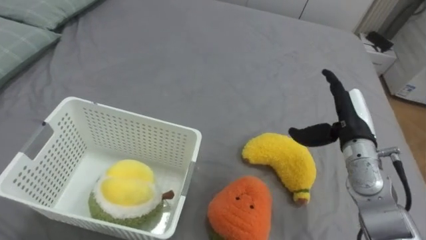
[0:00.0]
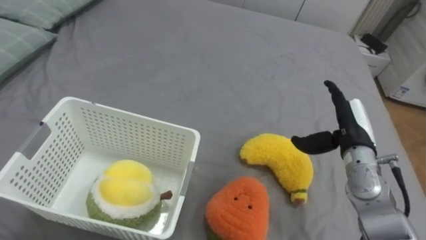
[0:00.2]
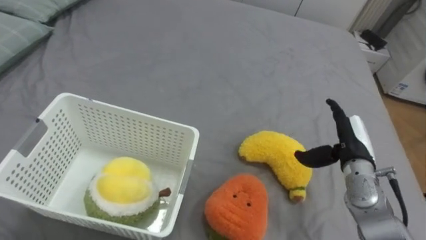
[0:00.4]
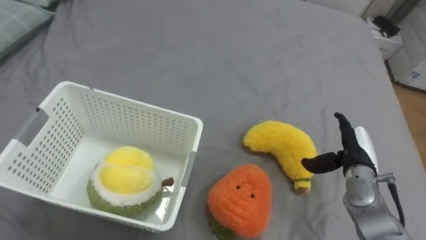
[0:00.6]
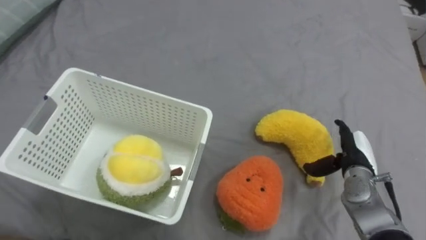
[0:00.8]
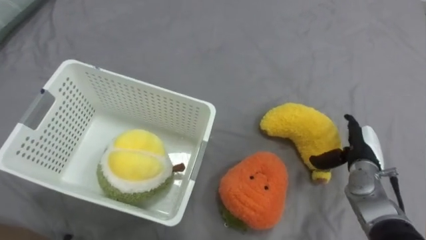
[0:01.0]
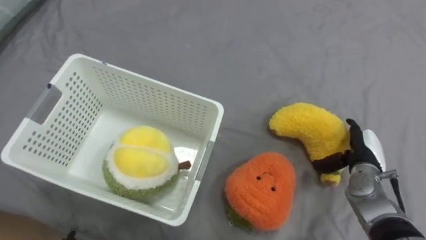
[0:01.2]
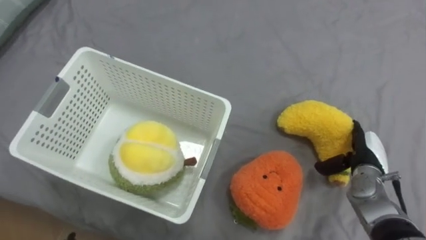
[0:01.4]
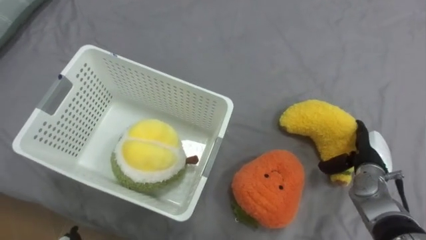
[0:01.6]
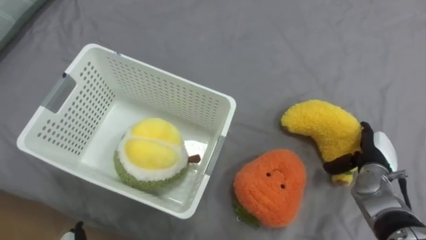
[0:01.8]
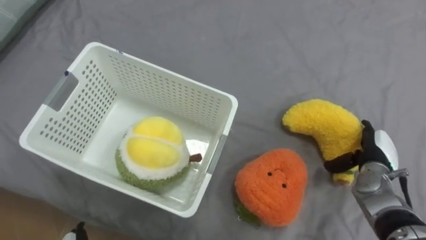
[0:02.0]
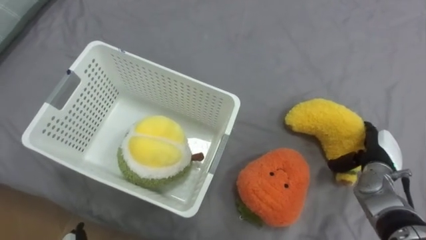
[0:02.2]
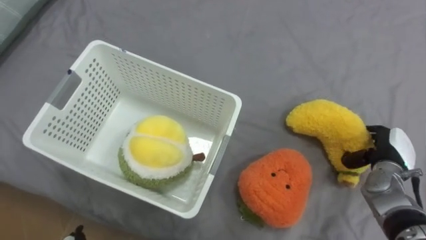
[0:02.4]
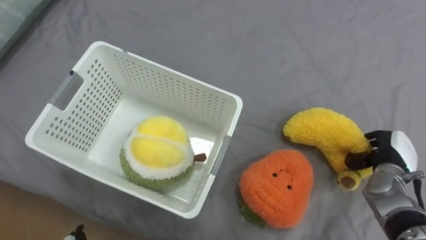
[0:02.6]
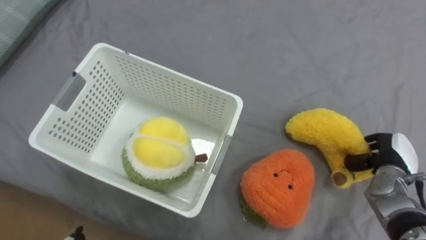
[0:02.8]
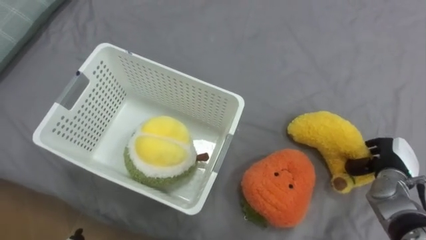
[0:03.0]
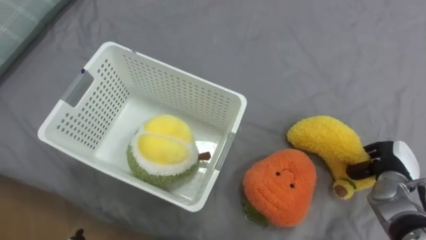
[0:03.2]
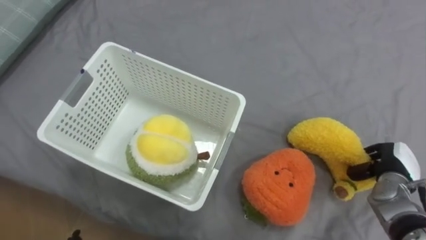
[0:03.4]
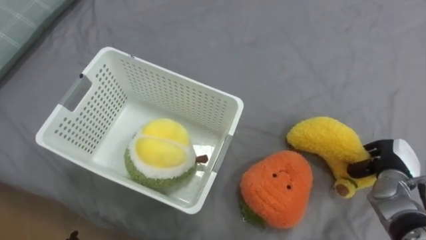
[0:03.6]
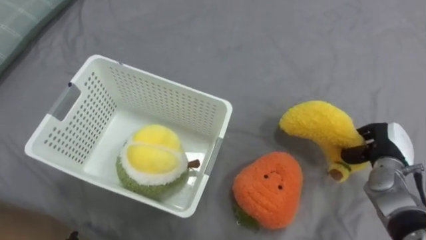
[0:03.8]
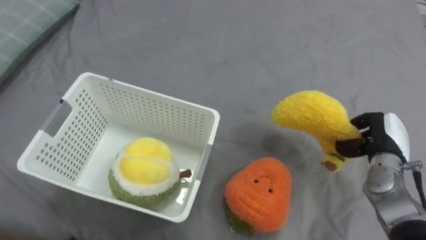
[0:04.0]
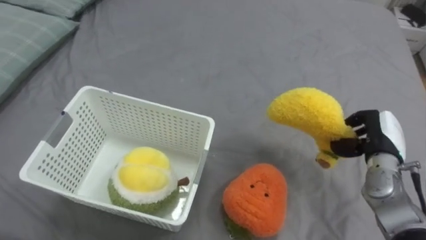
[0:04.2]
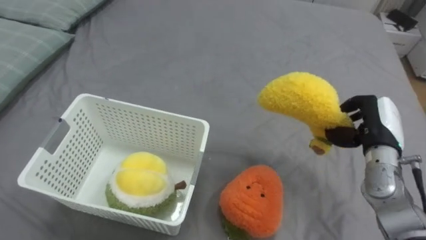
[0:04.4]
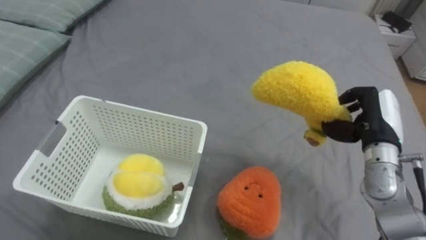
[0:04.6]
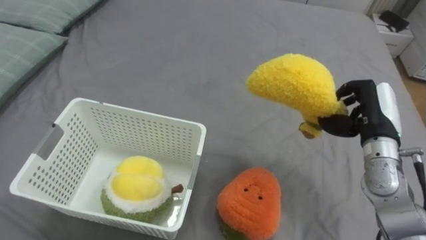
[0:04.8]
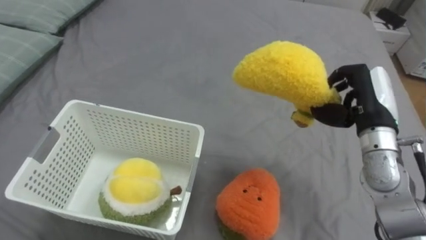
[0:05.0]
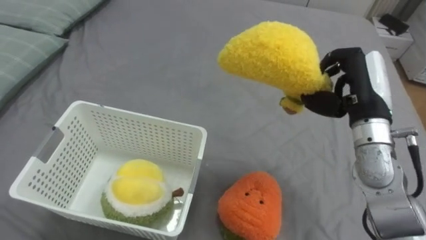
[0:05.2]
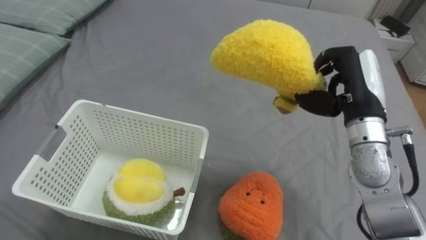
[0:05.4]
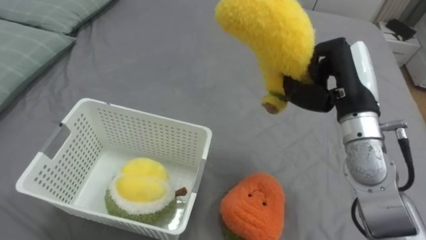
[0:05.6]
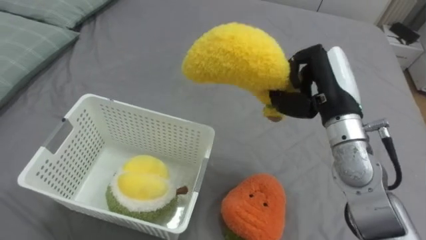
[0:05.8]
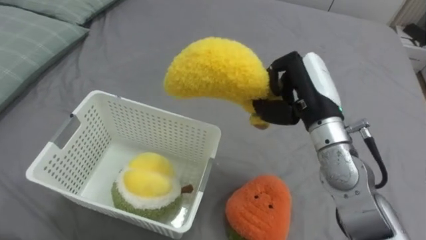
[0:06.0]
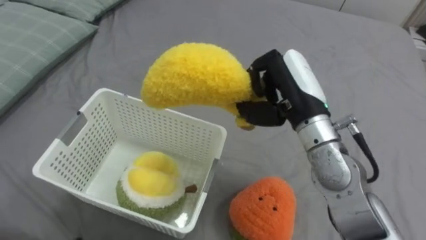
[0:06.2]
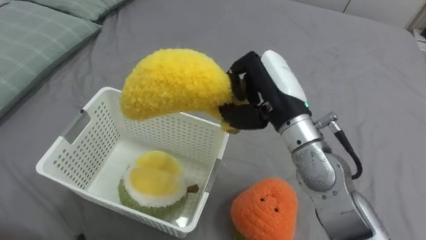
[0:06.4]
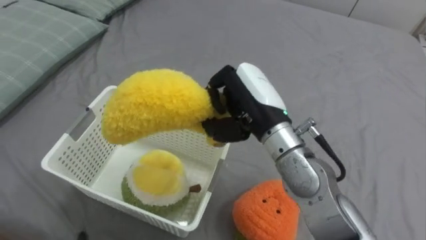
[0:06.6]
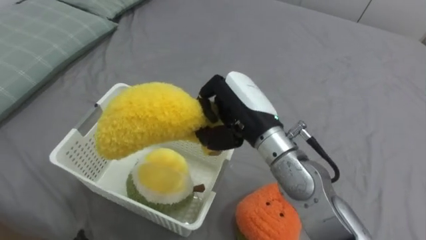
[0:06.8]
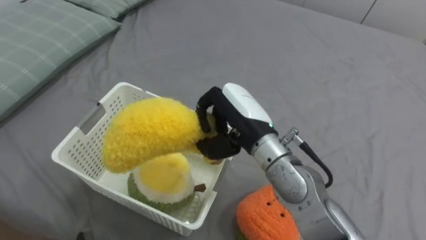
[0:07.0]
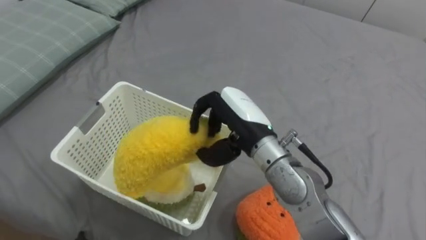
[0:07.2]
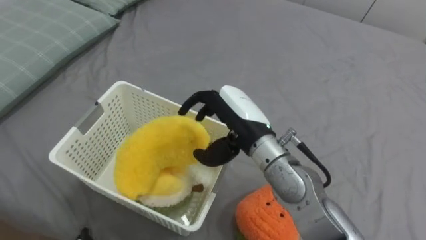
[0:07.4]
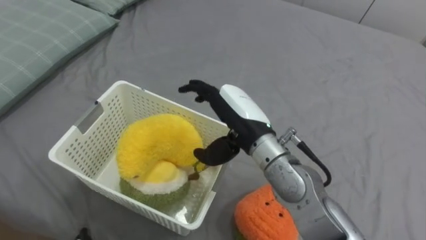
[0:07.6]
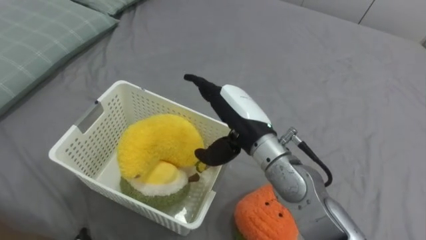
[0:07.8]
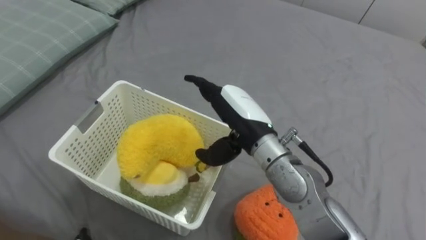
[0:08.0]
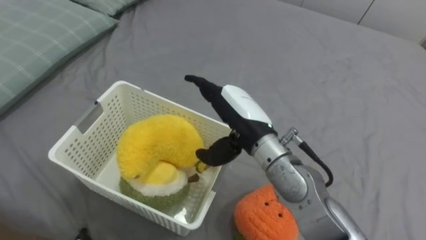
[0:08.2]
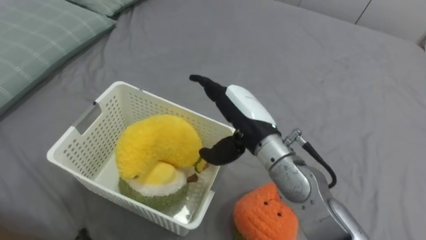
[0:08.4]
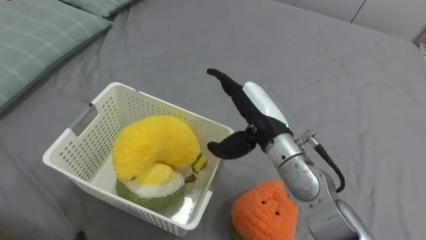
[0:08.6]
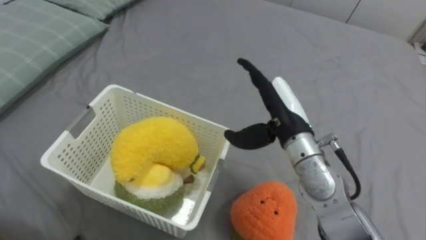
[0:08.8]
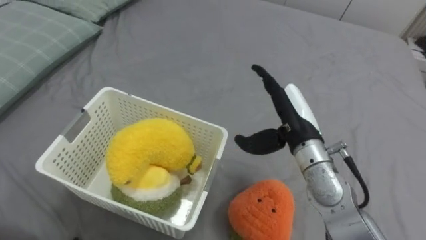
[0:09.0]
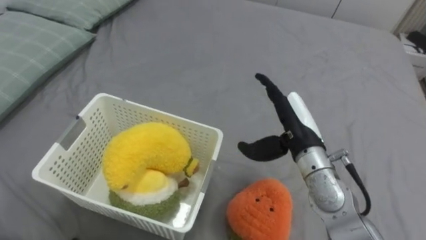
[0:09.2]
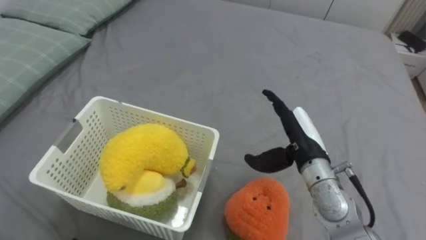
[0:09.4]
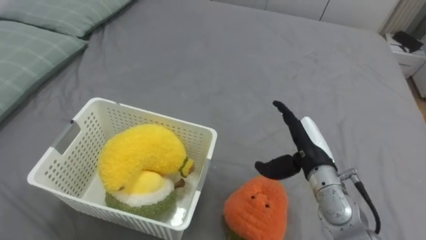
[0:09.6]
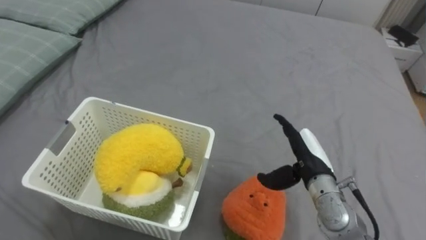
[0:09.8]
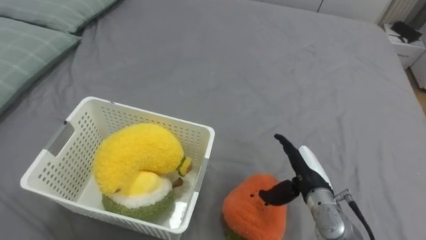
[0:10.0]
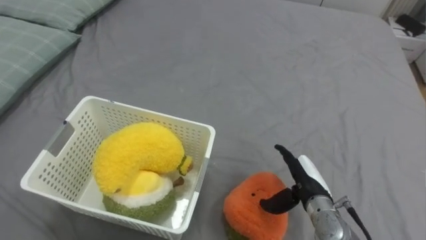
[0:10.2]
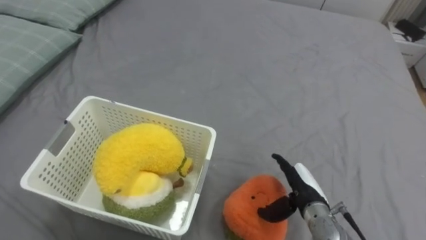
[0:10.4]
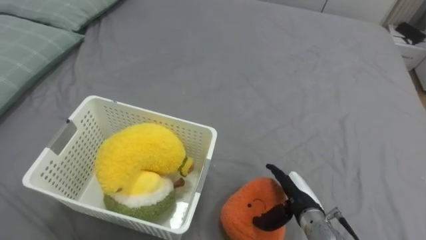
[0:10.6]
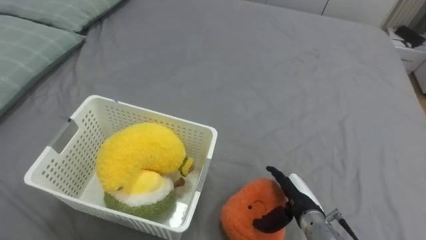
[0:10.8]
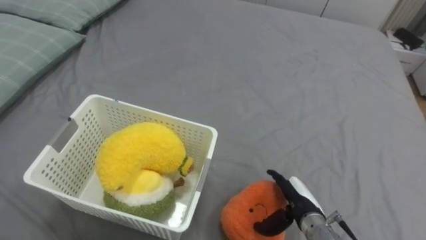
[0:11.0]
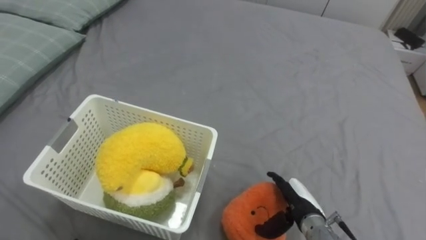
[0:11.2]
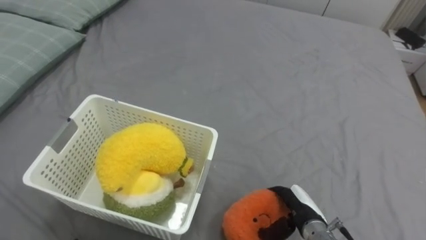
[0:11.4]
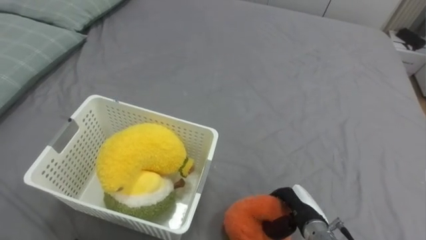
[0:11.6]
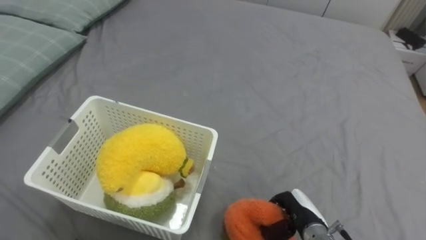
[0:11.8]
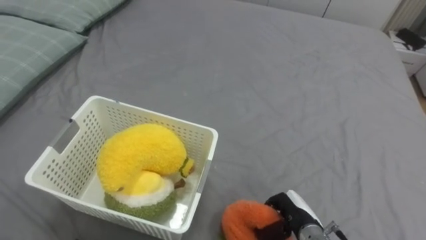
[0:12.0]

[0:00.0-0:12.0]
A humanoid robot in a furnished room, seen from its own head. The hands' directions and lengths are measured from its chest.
Task of the whole recording: Put the toys on the bed into the basket on the left.
0:00.0 to 0:01.6: The right hand is displaced downward and to the right by about 10 cm.
0:01.6 to 0:03.0: The right hand closes its fingers.
0:03.0 to 0:04.4: The right hand moves upward and to the left, approximately 10 cm.
0:04.4 to 0:06.0: The right hand goes about 20 cm to the left and upward.
0:06.0 to 0:07.6: The right hand goes roughly 10 cm to the left, and opens up.
0:07.6 to 0:09.0: The right hand shifts some 10 cm to the right.
0:09.0 to 0:10.4: The right hand heads downward, covering approximately 15 cm.
0:10.4 to 0:12.0: The right hand changes place by some 5 cm, and closes.

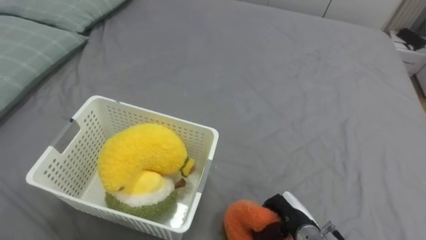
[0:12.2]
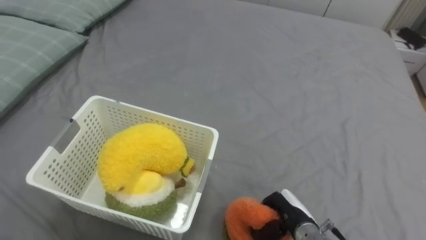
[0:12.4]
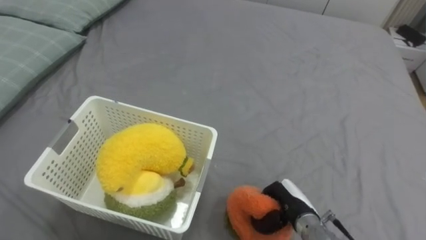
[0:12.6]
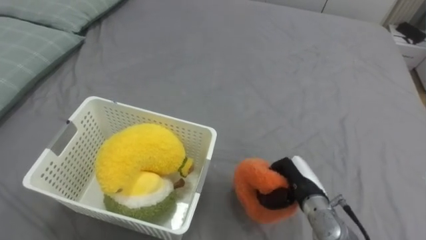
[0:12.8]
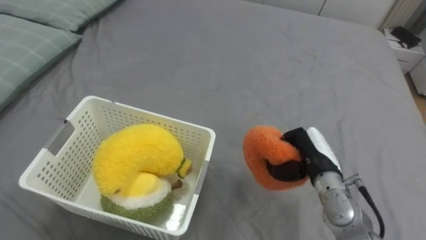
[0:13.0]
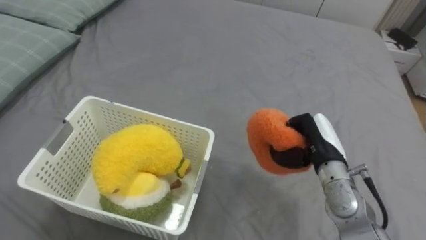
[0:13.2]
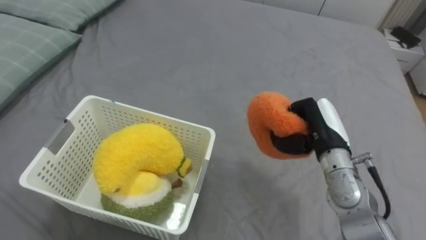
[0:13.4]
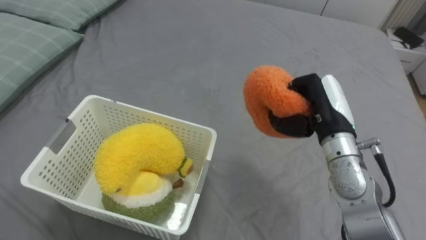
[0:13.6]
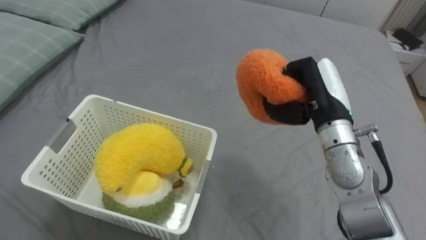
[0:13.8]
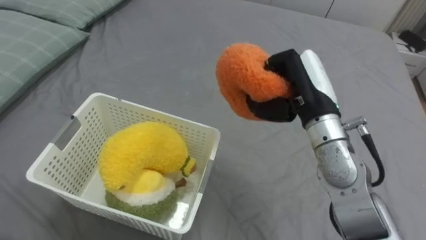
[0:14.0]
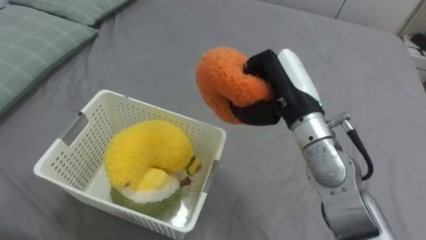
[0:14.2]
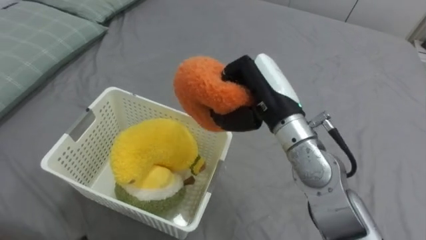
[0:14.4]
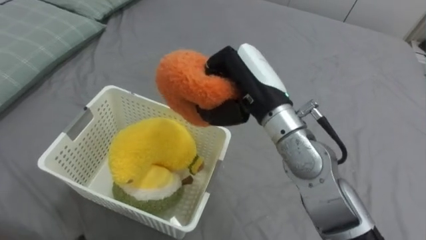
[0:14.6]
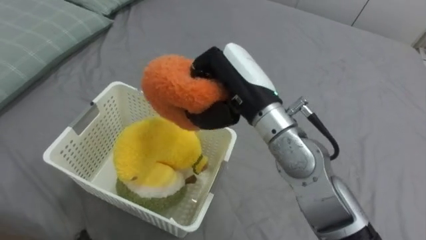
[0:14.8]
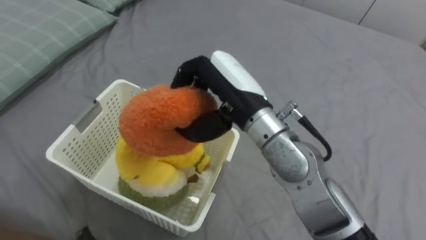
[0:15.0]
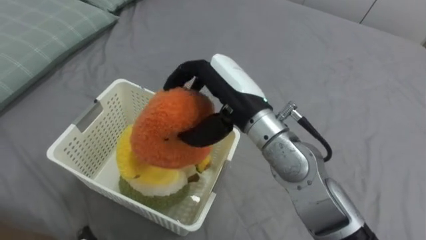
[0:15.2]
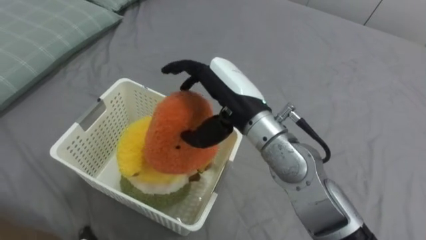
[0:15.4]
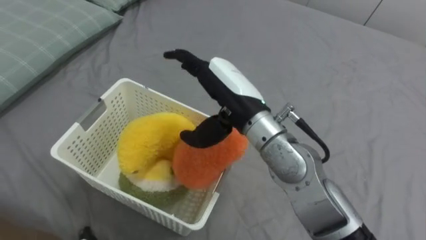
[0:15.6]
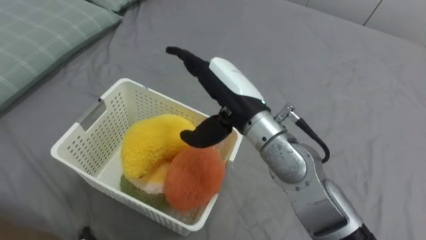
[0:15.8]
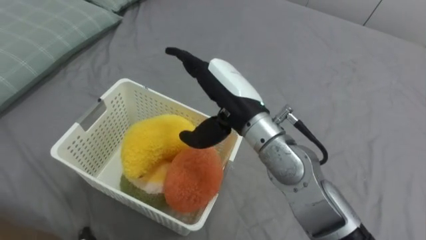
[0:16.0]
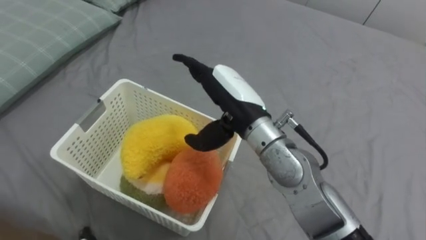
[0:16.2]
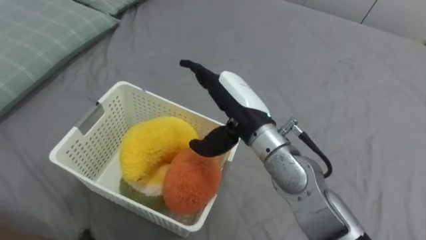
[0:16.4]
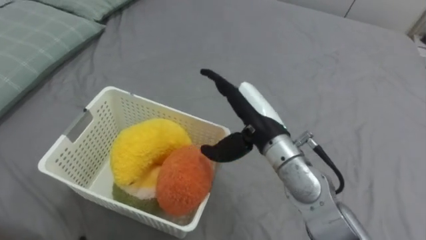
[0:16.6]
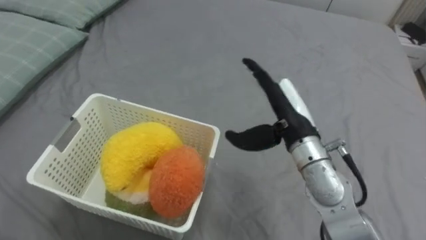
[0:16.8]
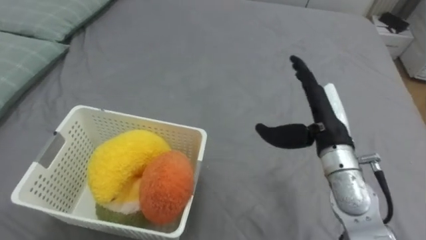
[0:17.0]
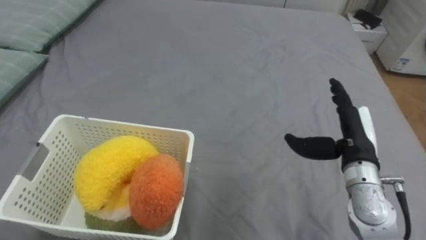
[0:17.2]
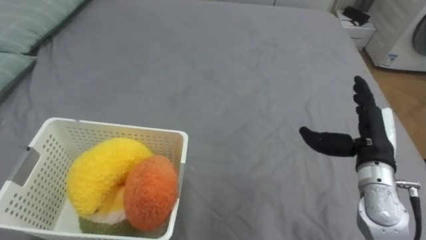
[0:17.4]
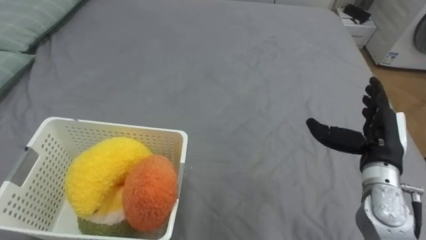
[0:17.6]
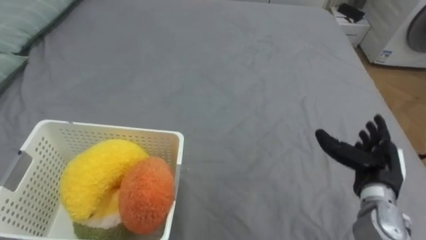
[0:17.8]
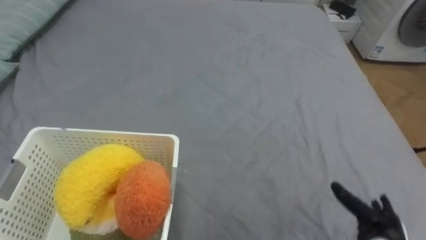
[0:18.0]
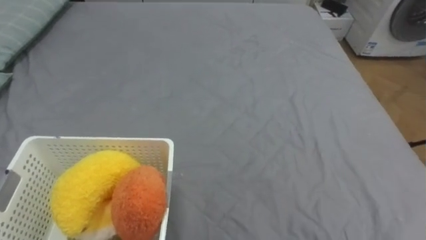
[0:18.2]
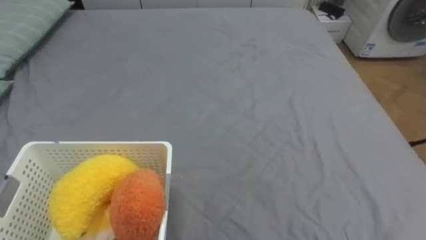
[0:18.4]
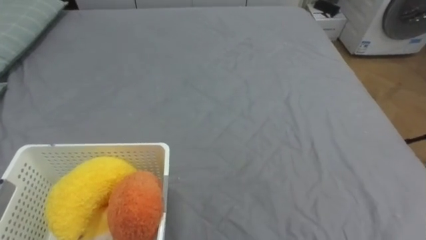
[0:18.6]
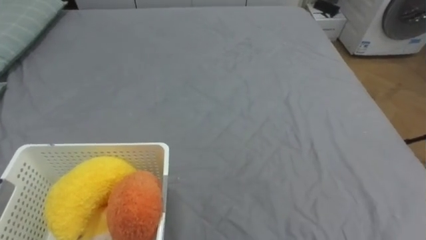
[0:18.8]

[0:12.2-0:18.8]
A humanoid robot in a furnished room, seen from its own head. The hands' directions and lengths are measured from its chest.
Task of the whole recording: Put the toys on the bed into the basket on the left.
0:12.2 to 0:13.8: The right hand shifts about 30 cm upward and forward.
0:13.8 to 0:15.4: The right hand goes about 15 cm to the left, and opens.
0:15.4 to 0:17.2: The right hand moves to the right and downward, about 25 cm.
